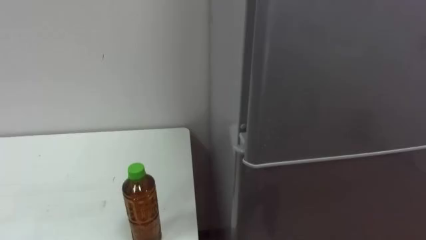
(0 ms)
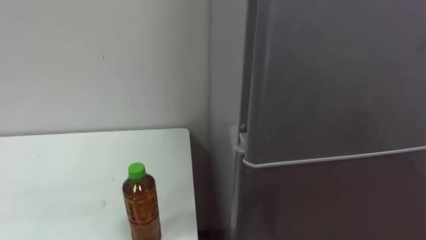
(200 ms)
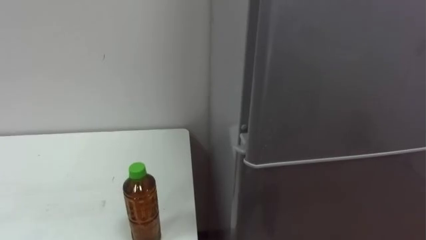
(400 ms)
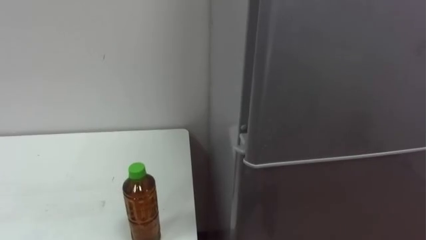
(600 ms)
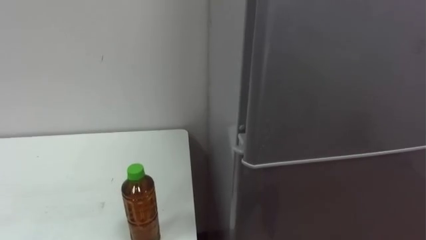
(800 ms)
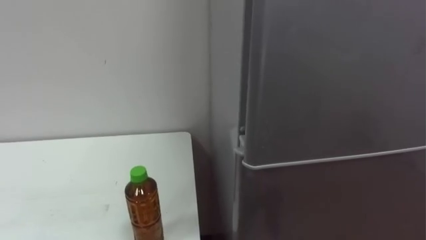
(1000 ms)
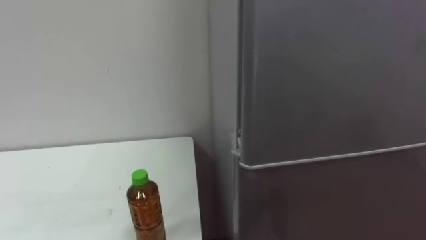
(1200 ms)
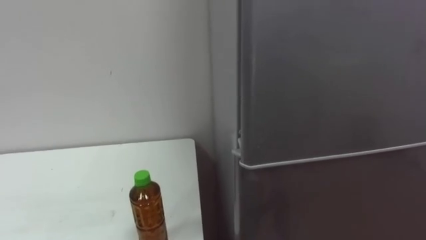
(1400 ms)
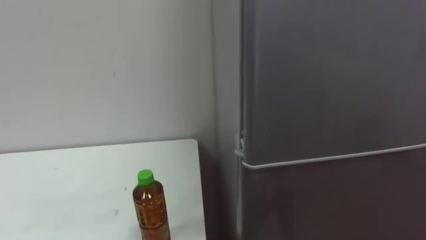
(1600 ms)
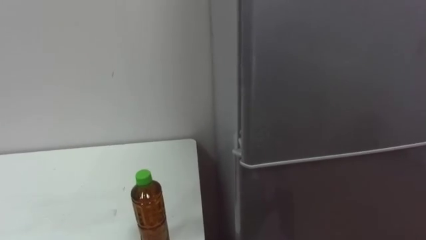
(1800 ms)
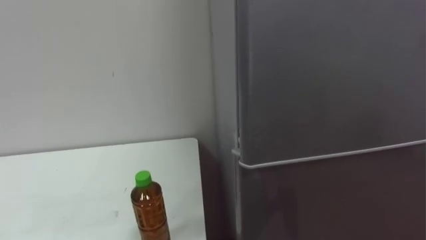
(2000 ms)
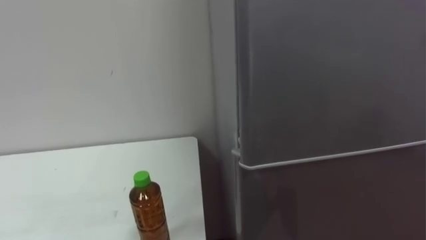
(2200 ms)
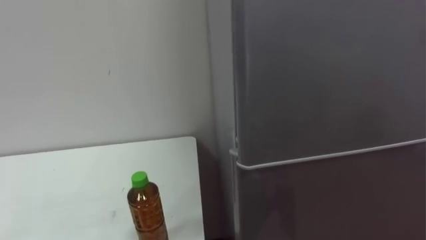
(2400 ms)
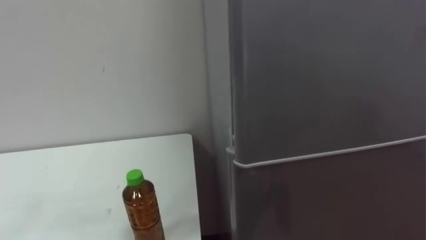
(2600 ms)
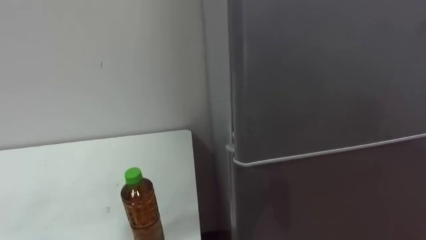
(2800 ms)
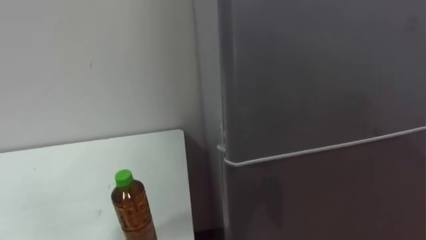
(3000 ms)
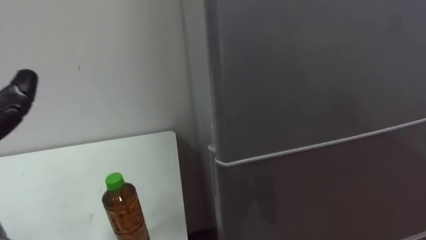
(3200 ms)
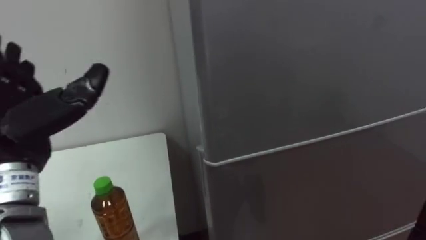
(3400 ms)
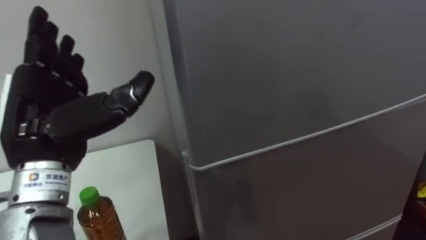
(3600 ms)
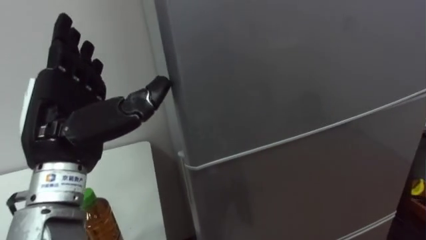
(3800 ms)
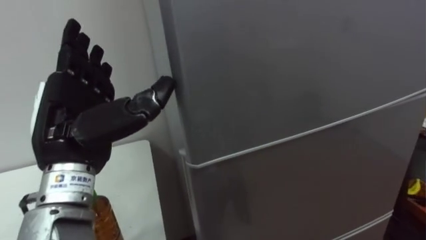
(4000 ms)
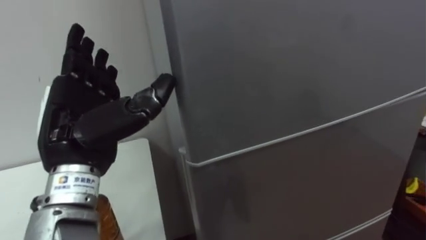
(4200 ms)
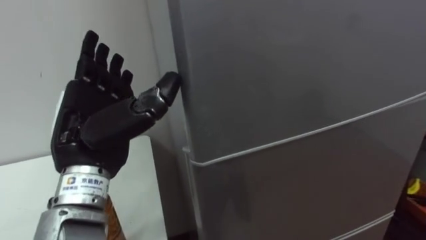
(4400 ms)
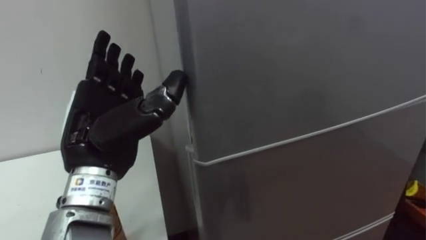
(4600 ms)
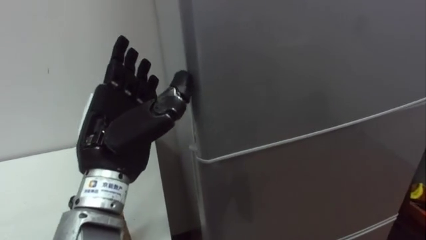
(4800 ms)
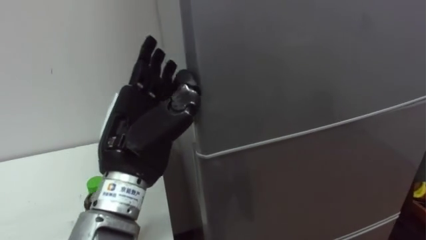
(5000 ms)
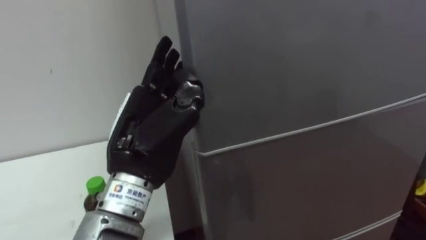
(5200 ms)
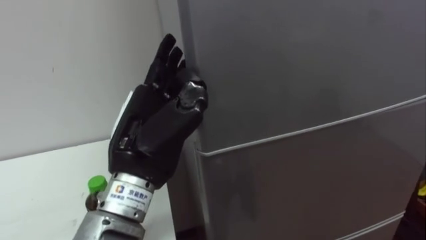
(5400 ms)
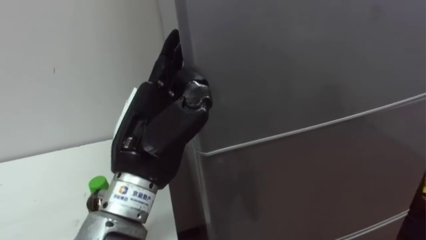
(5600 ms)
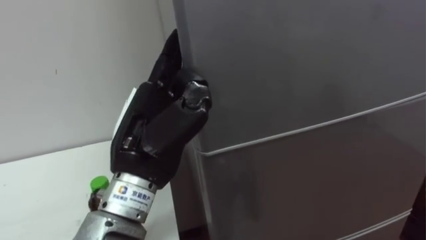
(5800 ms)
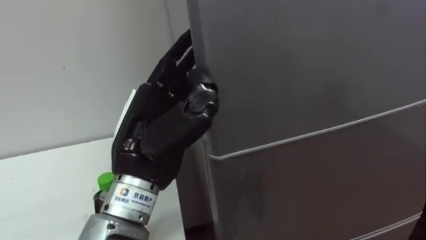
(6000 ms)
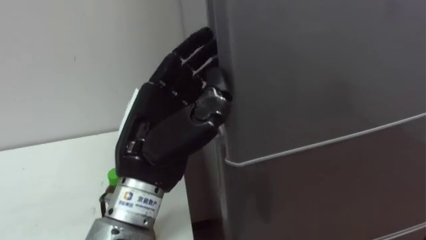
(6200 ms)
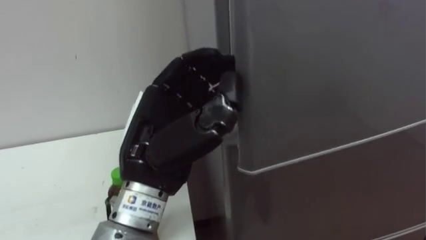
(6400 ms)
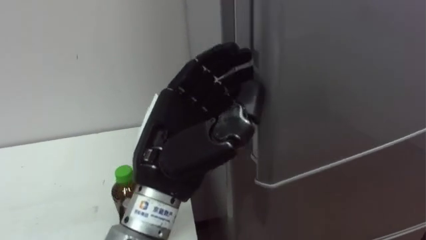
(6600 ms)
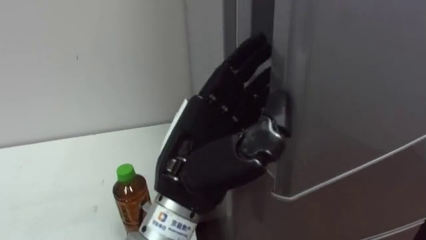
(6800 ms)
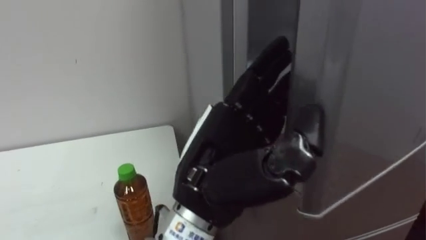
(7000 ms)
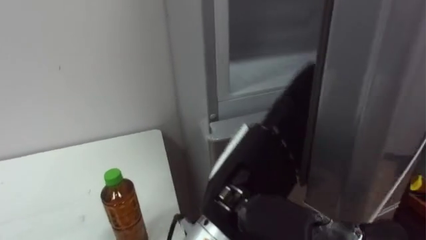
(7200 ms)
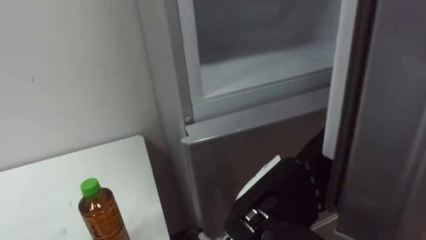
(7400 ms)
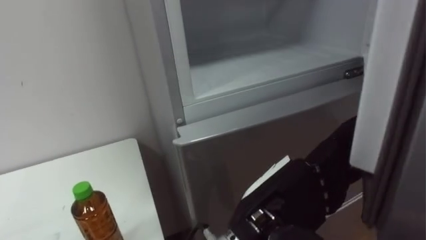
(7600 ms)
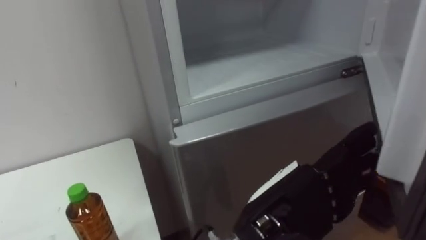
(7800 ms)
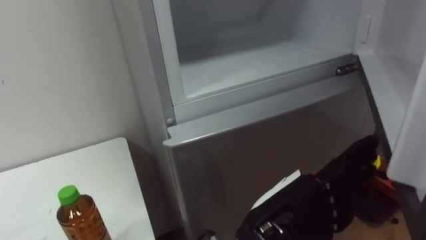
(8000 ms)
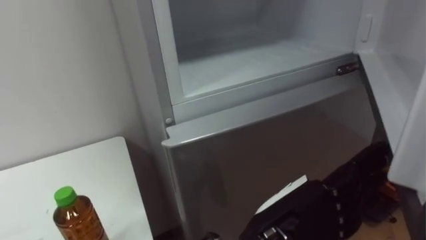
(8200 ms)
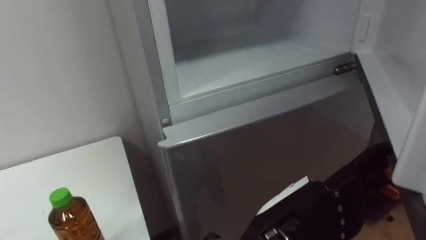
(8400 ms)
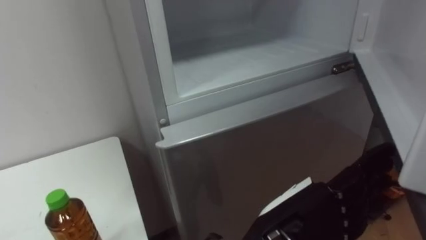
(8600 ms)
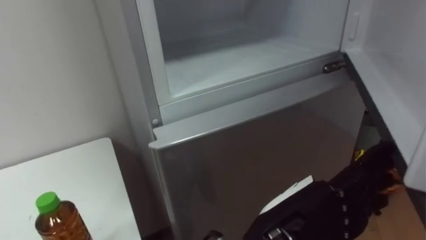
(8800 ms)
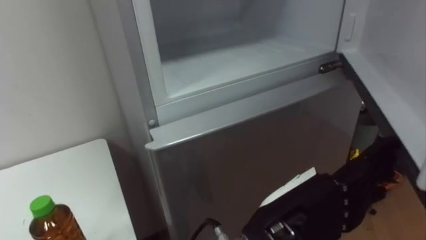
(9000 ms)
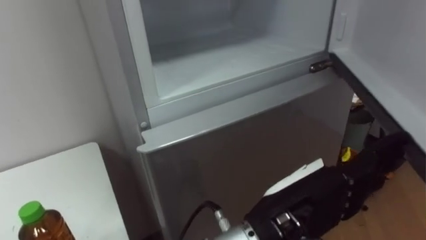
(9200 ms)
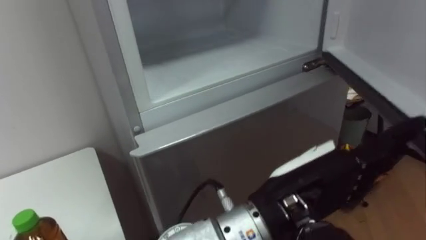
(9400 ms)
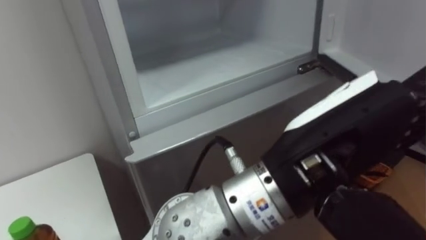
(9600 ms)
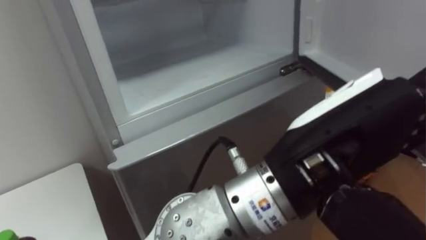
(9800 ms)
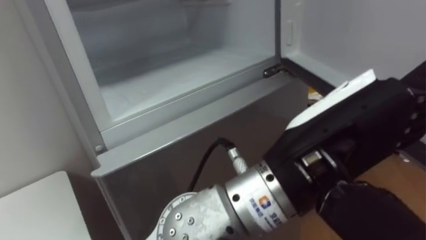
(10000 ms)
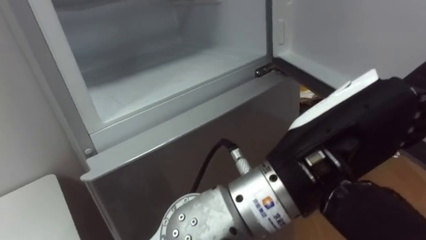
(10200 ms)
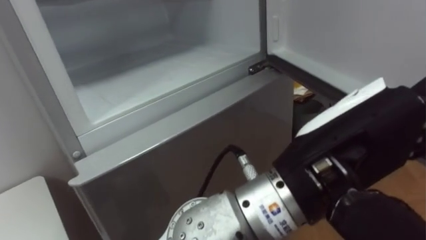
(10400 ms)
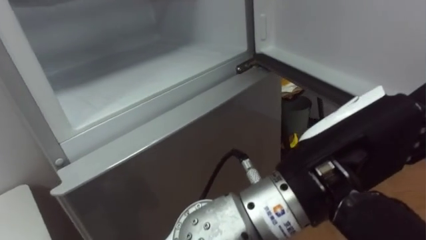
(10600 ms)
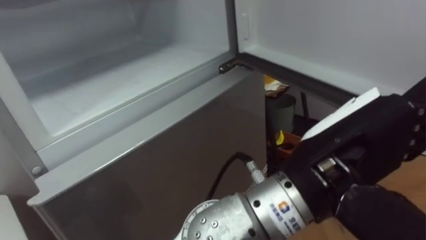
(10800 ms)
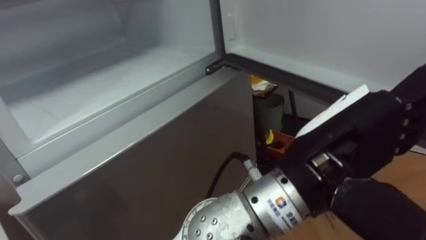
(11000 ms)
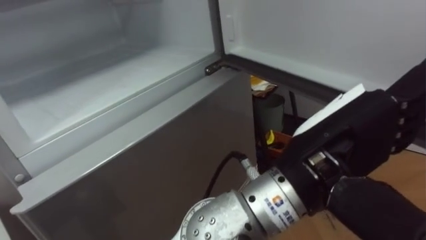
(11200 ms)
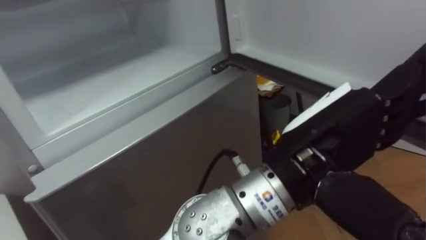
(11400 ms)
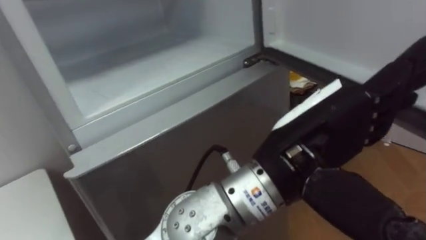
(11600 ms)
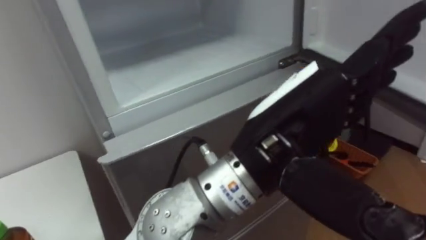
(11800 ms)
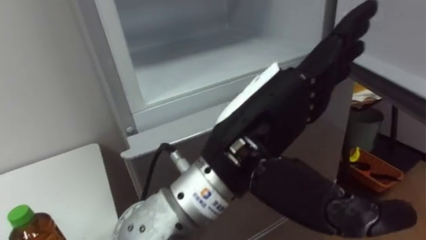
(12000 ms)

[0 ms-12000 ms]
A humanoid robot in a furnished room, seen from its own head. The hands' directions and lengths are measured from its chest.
Task of the whole recording: Open the upper refrigerator door, put the drink from the table into the refrigerator, and then close the refrigerator door.
4400 ms to 6000 ms: The left hand goes some 5 cm to the right.
6000 ms to 7600 ms: The left hand travels to the right and backward by approximately 15 cm.
9000 ms to 10400 ms: The left hand goes about 10 cm upward.
10400 ms to 12000 ms: The left hand travels to the left by about 5 cm.

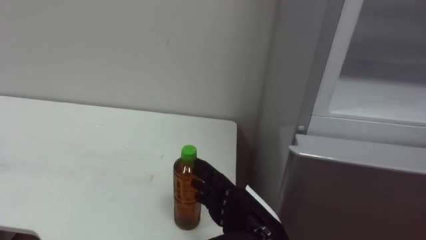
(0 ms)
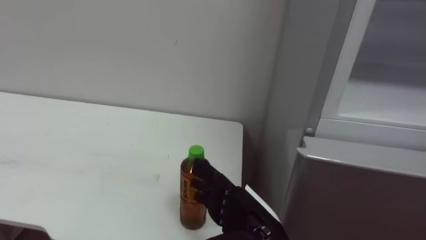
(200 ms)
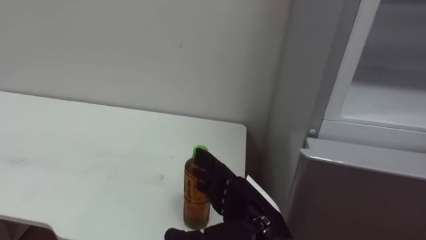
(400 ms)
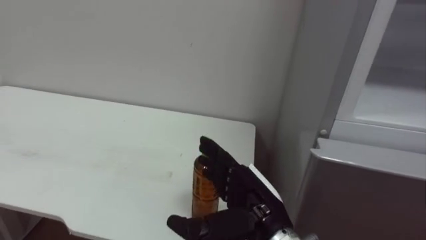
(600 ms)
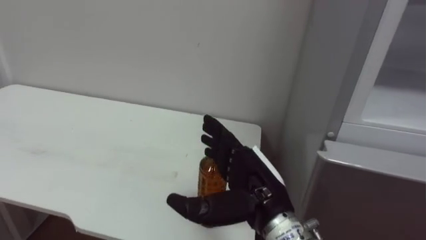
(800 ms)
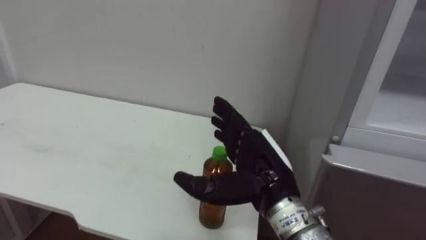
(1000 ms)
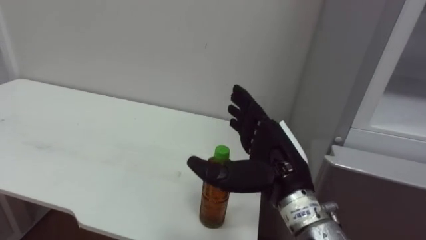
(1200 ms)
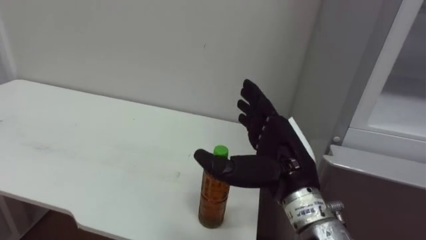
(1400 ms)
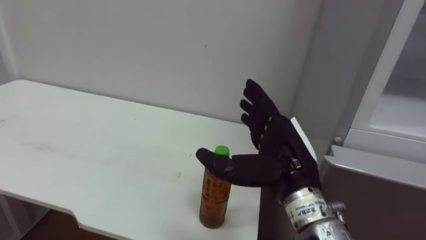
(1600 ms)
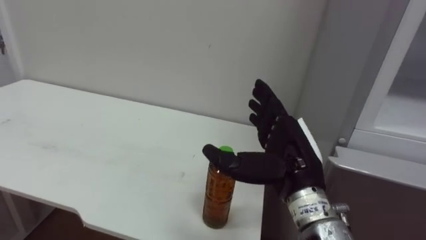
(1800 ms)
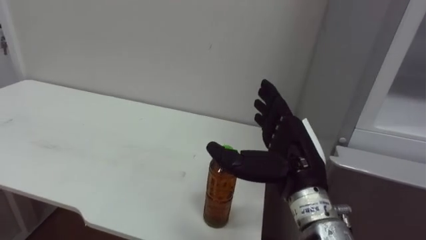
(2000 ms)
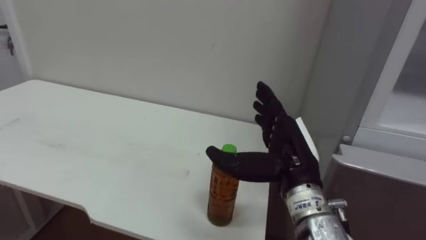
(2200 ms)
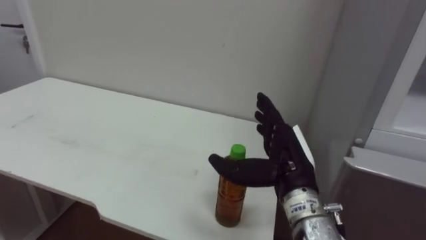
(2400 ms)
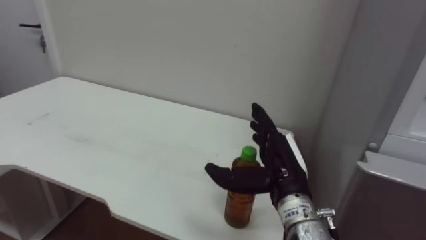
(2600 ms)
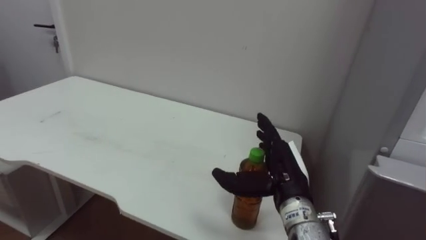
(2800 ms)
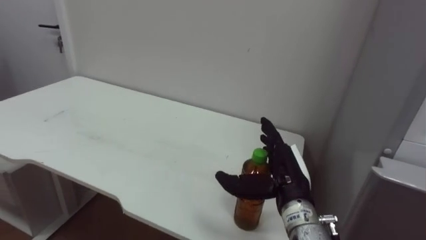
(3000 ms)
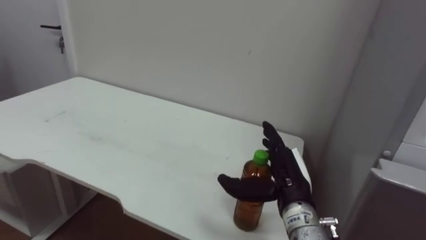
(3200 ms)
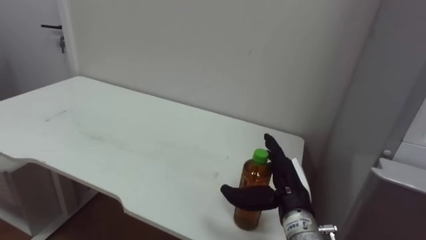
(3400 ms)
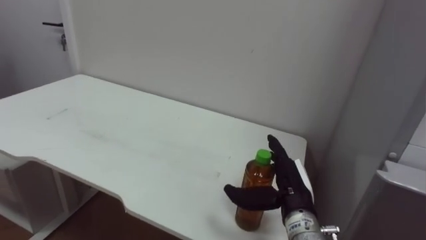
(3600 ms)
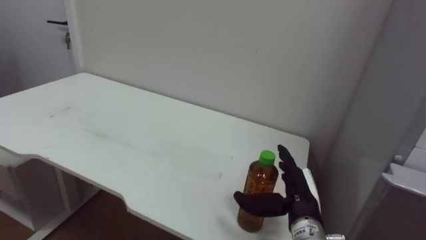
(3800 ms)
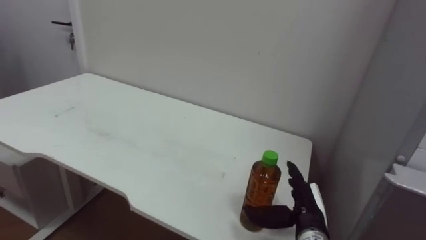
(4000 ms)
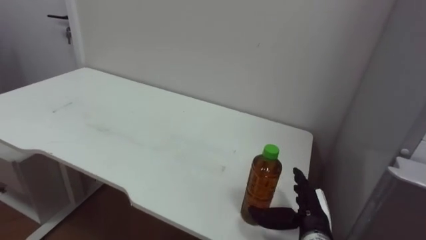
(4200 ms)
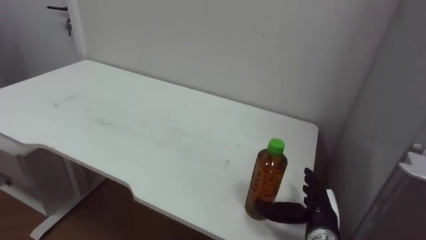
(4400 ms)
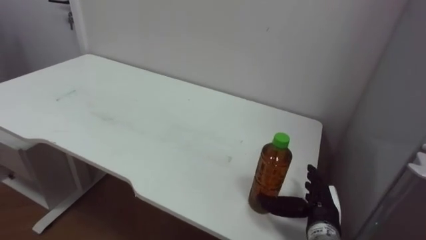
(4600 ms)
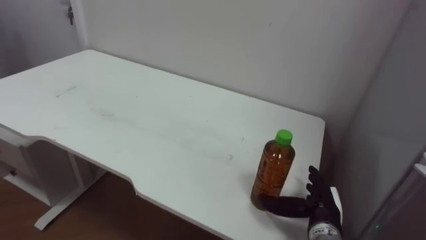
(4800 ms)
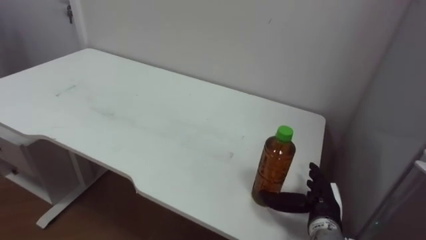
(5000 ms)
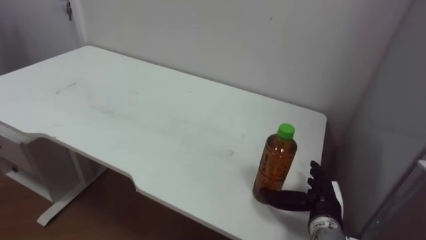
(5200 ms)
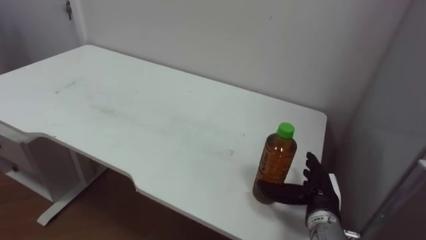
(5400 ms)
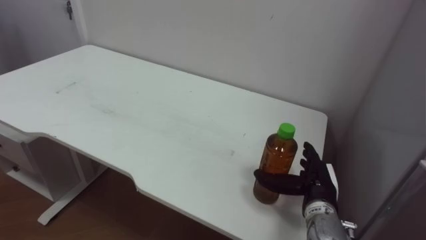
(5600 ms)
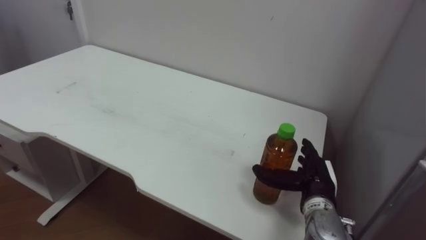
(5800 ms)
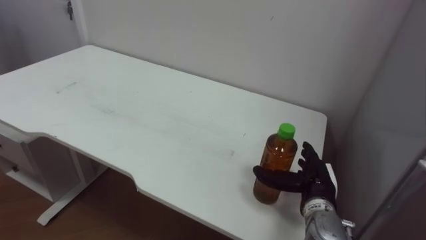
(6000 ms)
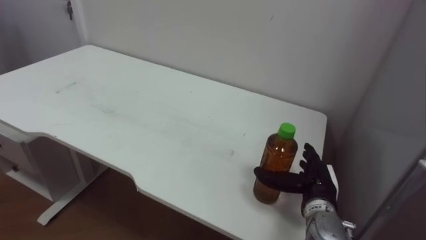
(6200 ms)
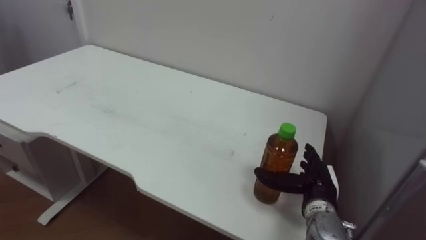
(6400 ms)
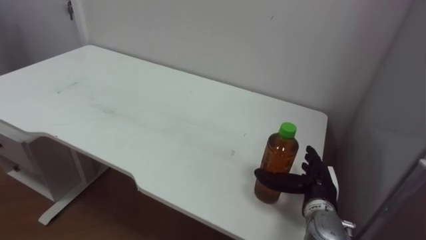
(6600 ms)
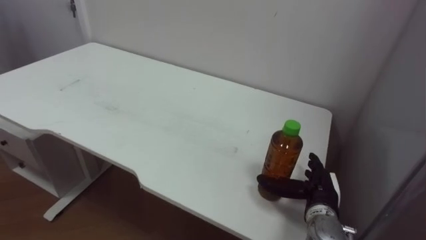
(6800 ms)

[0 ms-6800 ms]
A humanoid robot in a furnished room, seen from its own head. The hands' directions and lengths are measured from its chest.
Task of the whole recording: Open the upper refrigerator door, put the drink from the table into the refrigerator, and then close the refrigerator door.
0 ms to 1400 ms: The right hand travels upward by some 10 cm.
1400 ms to 2800 ms: The right hand is displaced downward by roughly 5 cm.
2800 ms to 4000 ms: The right hand travels downward by some 10 cm.
